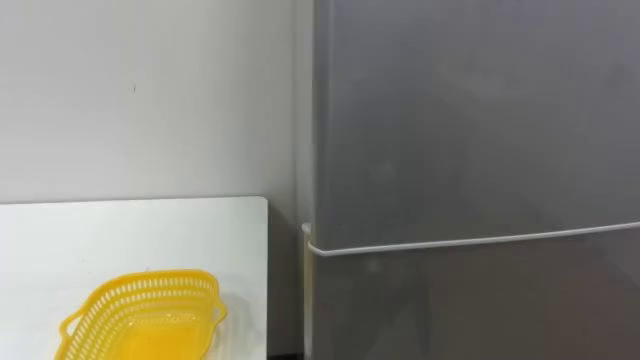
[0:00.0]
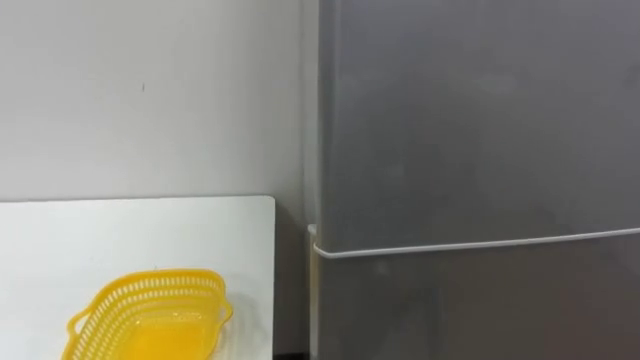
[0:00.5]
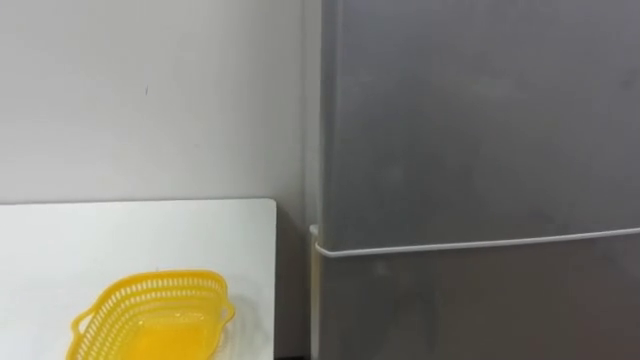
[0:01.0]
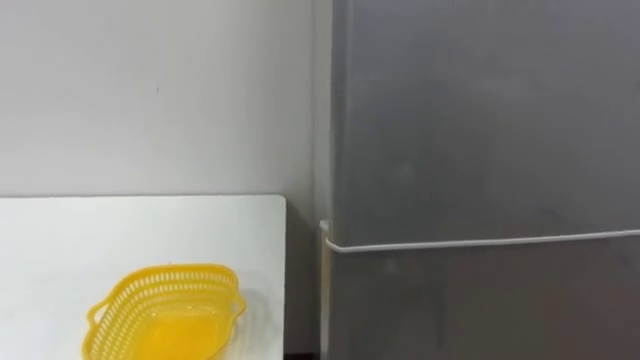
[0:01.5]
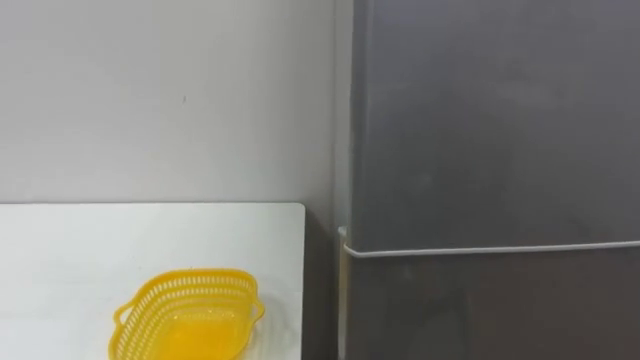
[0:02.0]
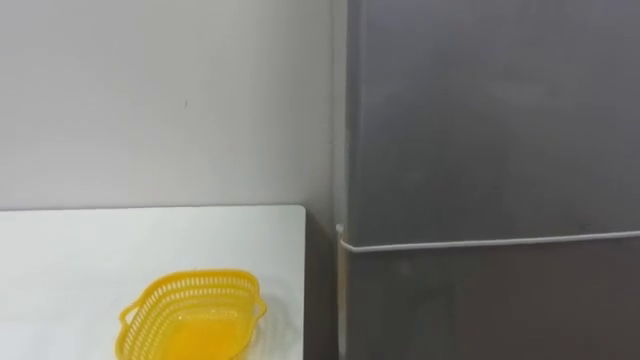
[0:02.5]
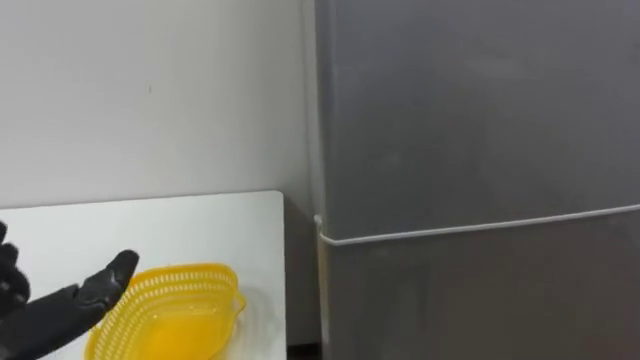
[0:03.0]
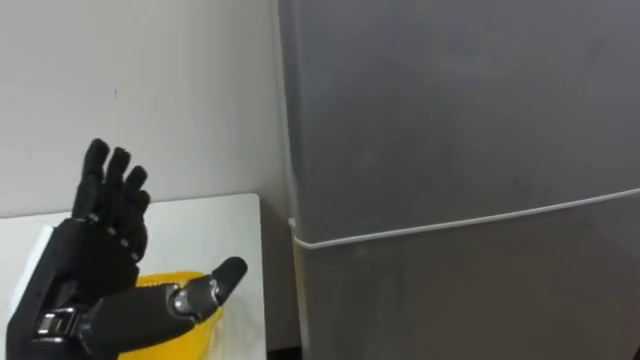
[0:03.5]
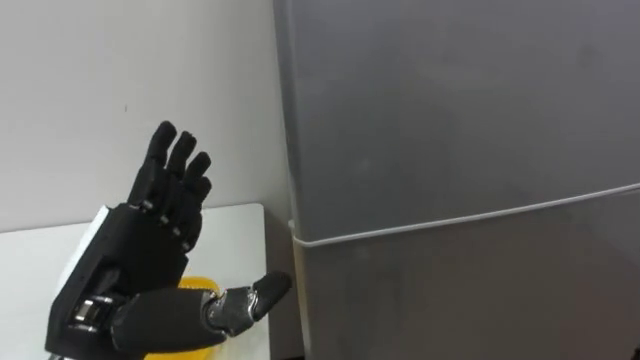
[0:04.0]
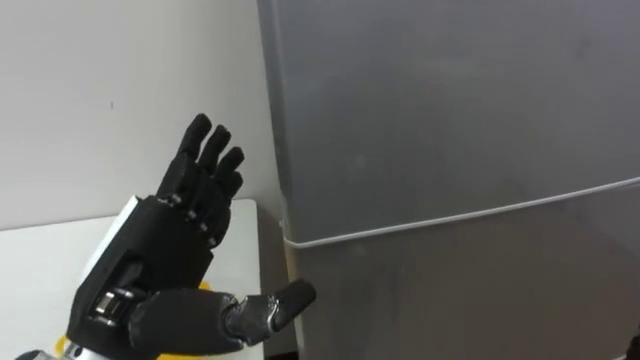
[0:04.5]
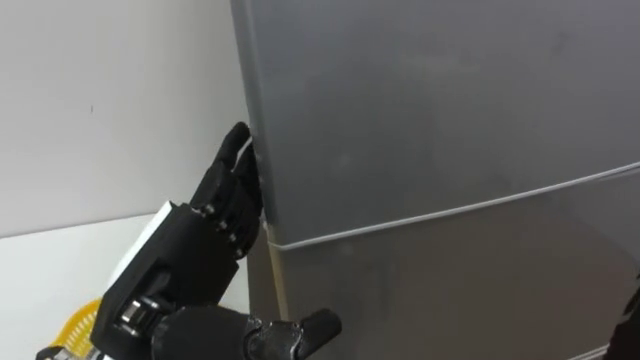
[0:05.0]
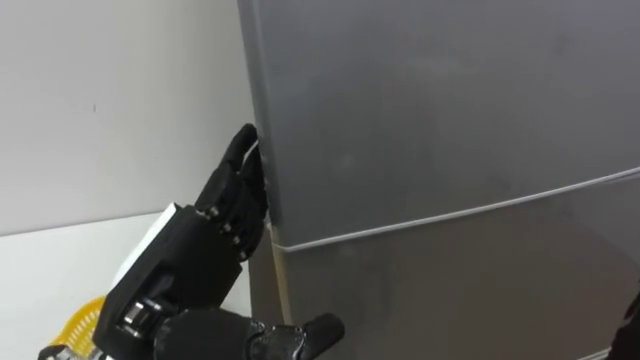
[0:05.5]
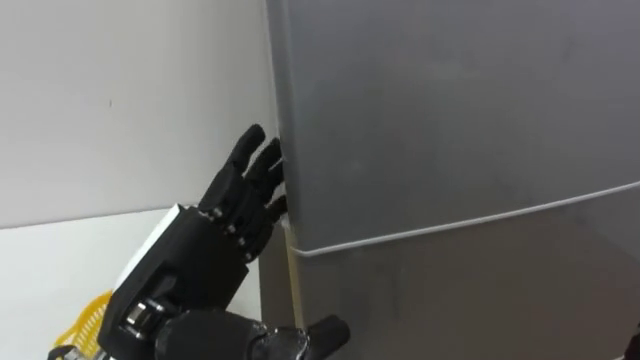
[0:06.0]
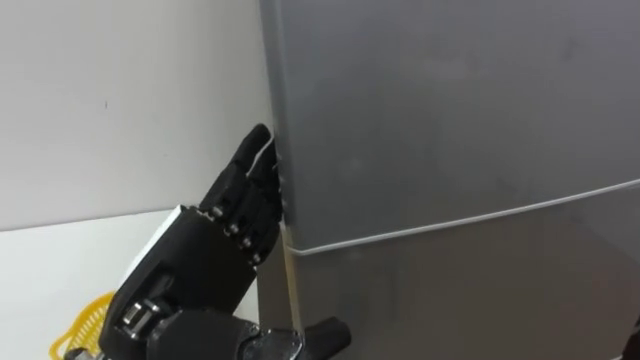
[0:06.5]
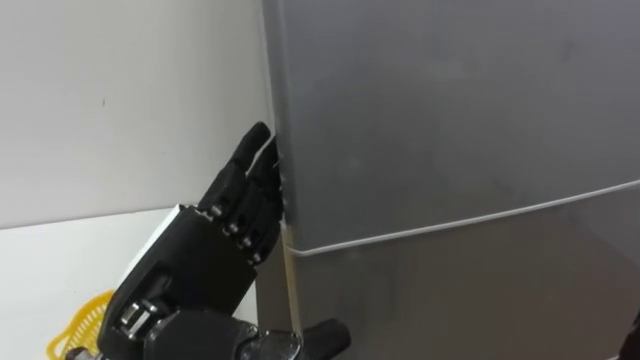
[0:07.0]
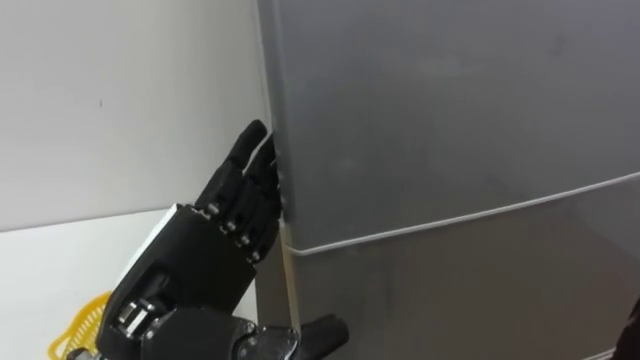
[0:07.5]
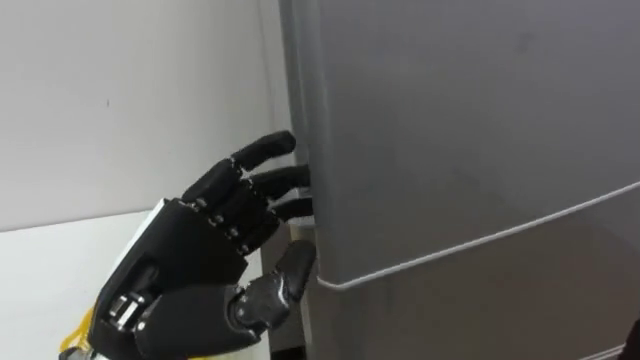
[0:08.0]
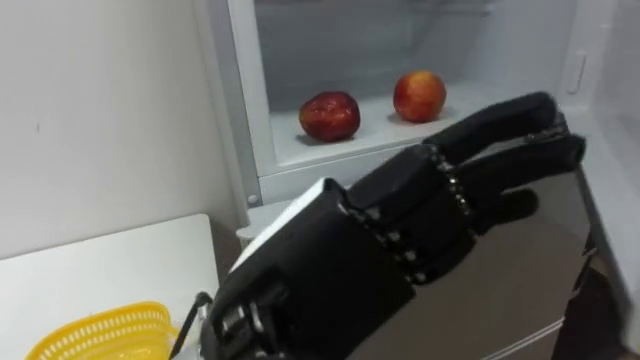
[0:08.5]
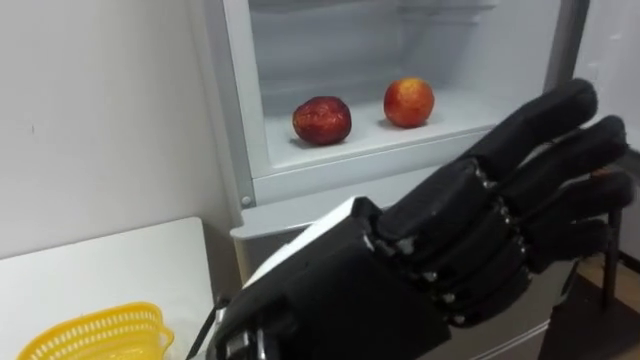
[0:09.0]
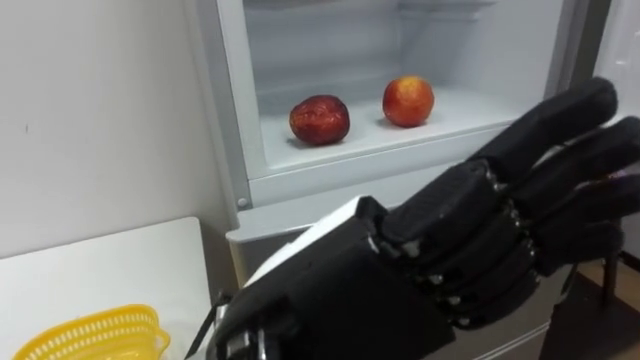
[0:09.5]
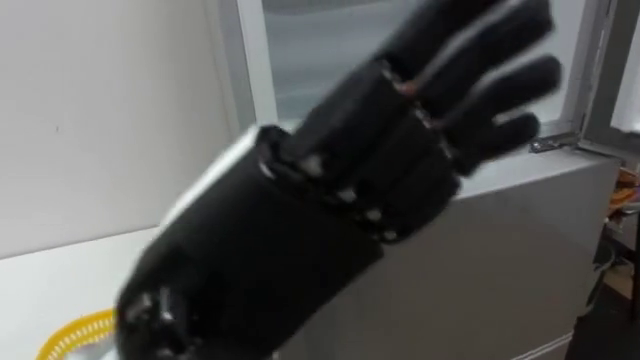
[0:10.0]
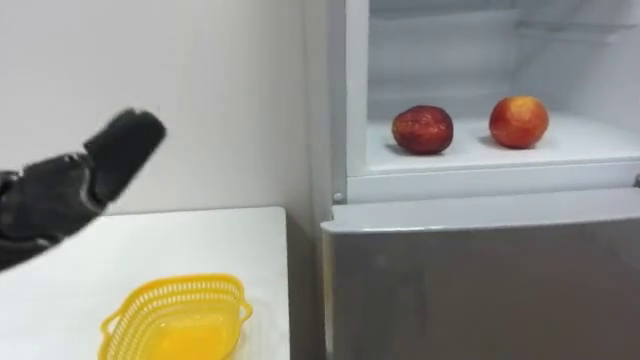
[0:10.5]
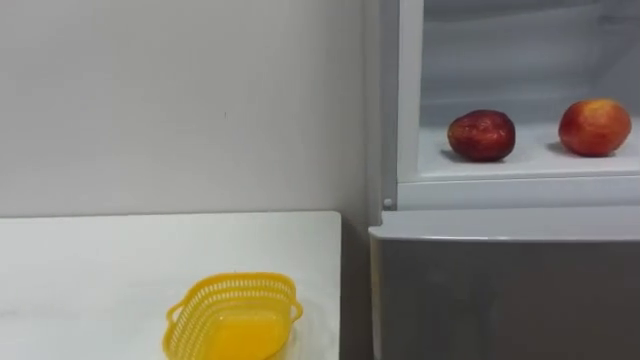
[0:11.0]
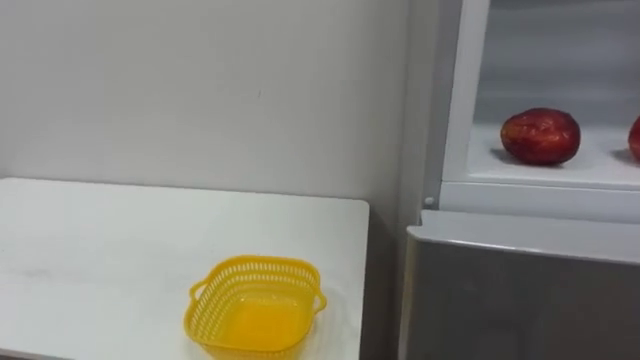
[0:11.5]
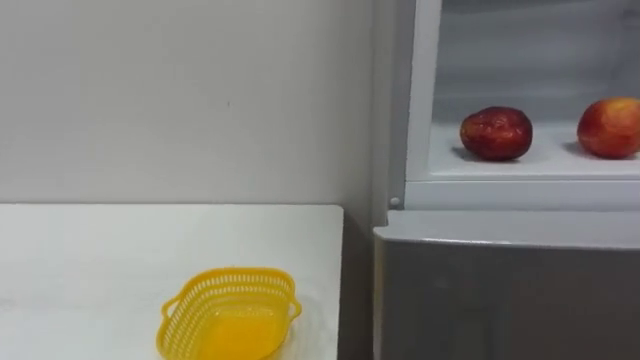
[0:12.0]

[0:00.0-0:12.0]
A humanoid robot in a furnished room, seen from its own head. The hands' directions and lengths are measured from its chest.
Task of the whole recording: Open the refrigerator door, take out the apple and the pomegranate, place them in the fruit basket on the left, and close the refrigerator door.
0:08.0 to 0:10.0: The left hand is displaced upward, backward and to the right by roughly 15 cm.

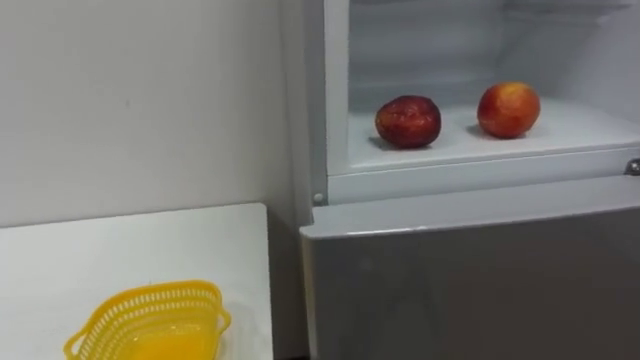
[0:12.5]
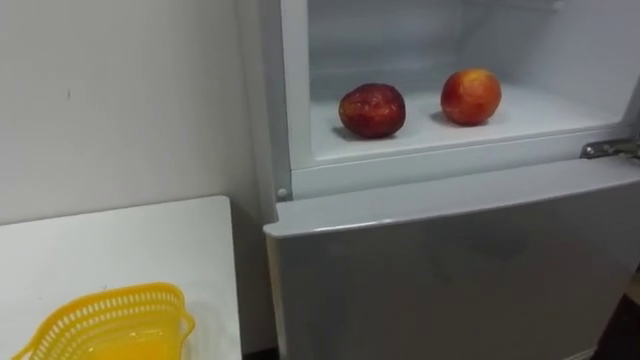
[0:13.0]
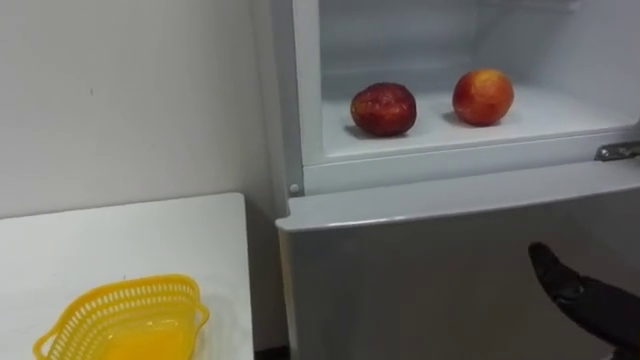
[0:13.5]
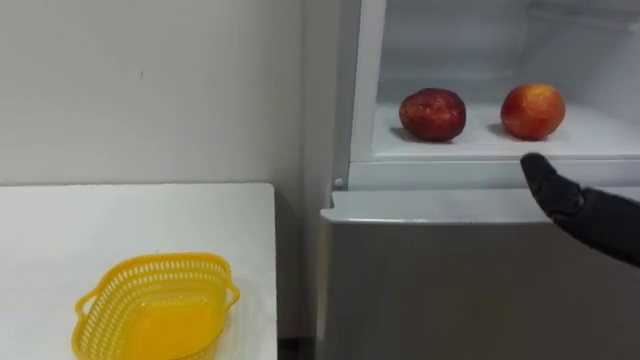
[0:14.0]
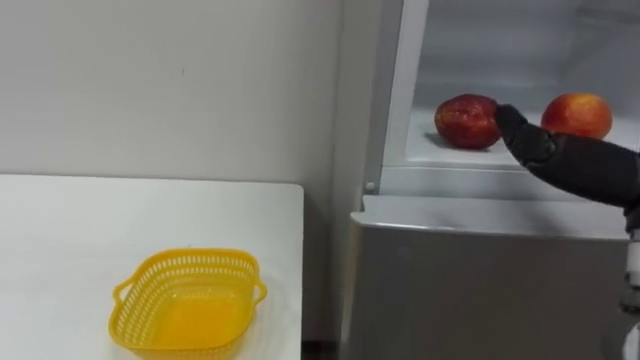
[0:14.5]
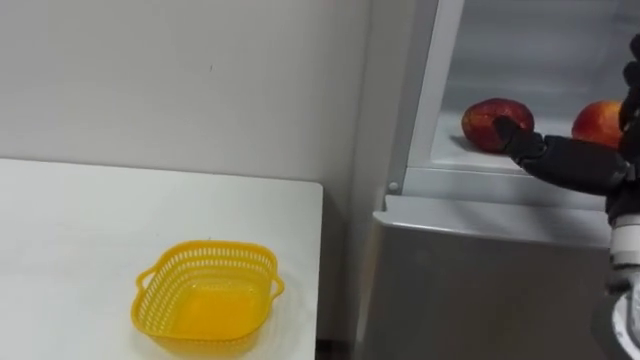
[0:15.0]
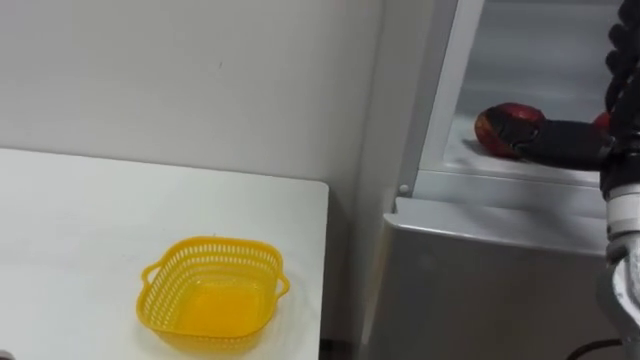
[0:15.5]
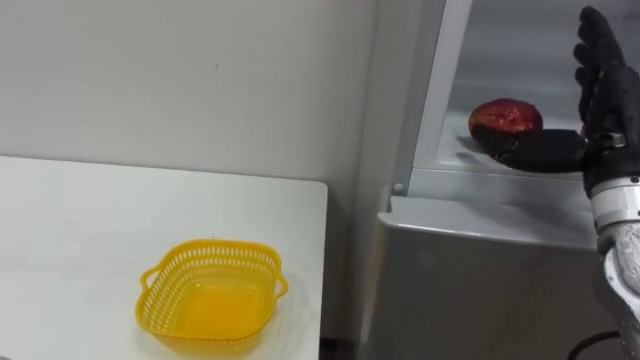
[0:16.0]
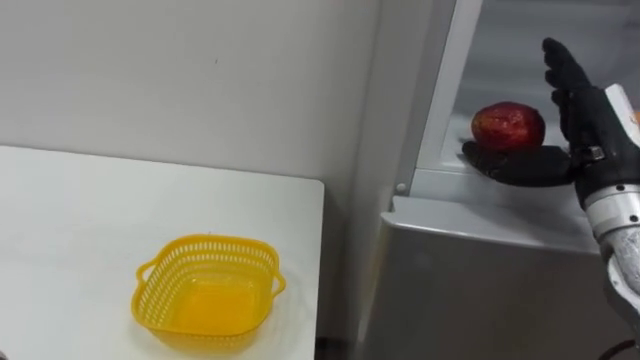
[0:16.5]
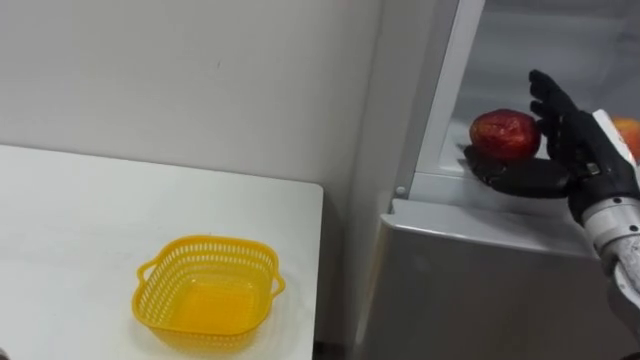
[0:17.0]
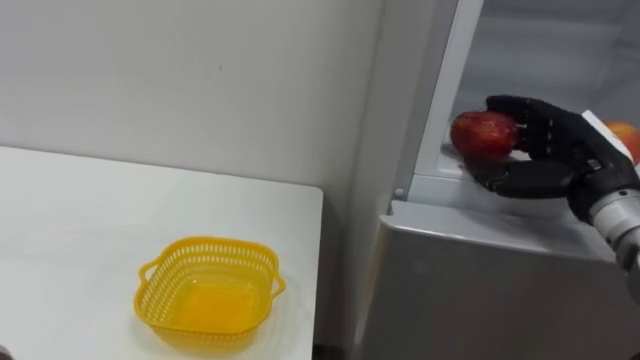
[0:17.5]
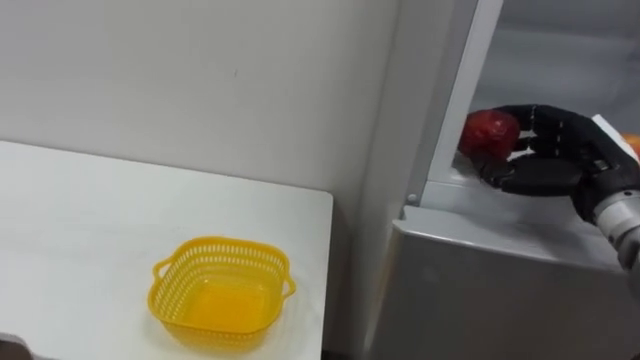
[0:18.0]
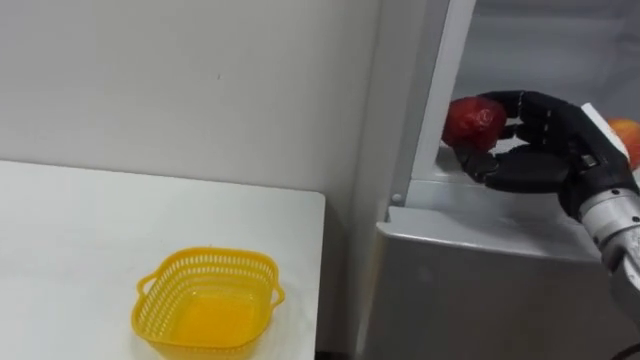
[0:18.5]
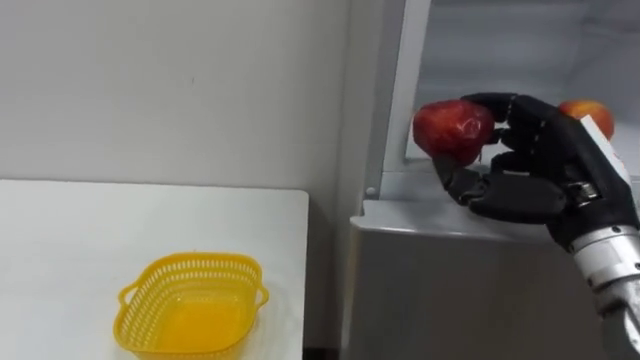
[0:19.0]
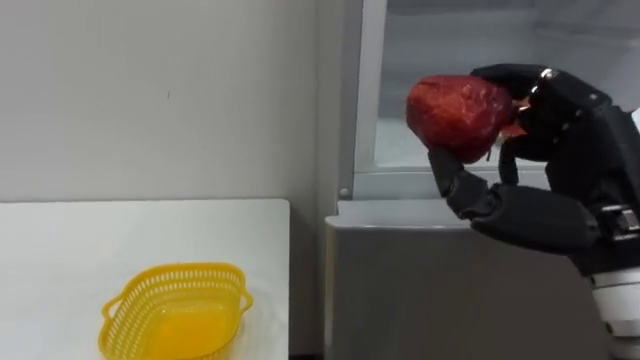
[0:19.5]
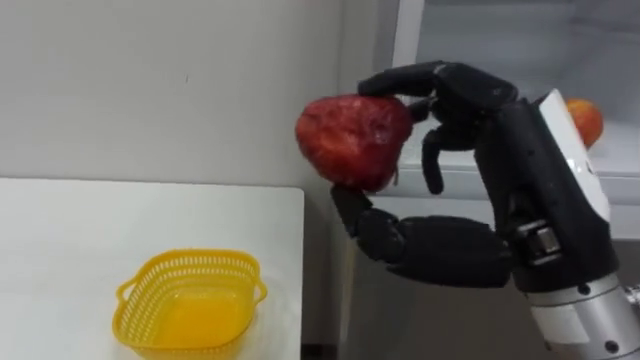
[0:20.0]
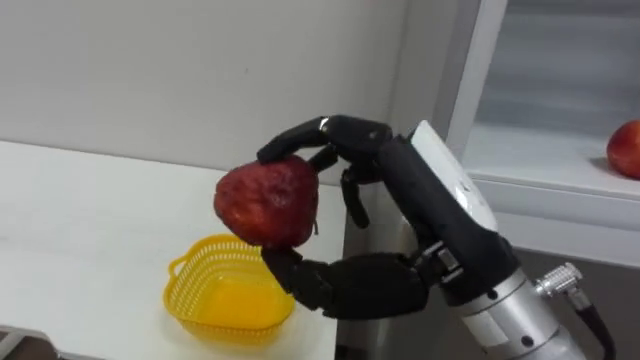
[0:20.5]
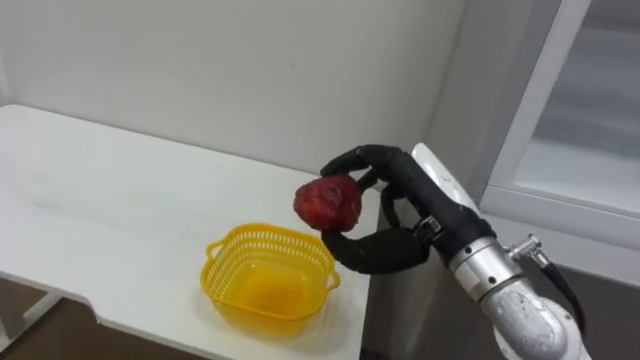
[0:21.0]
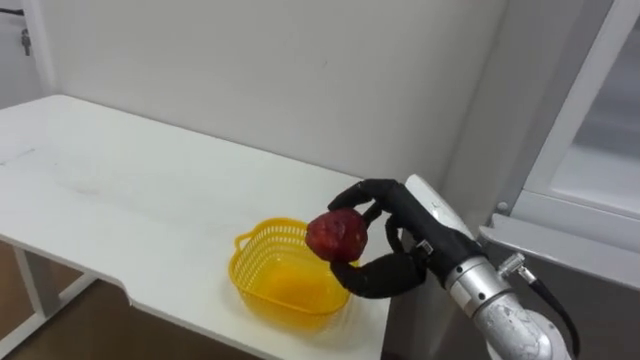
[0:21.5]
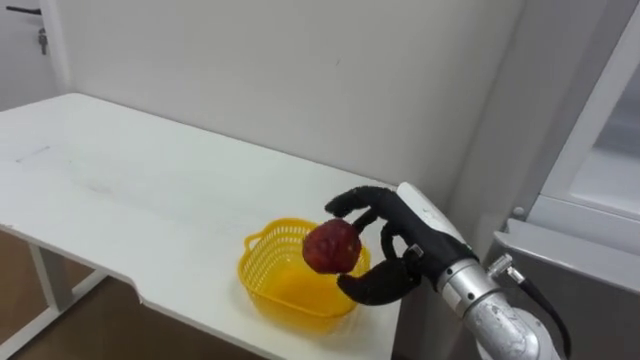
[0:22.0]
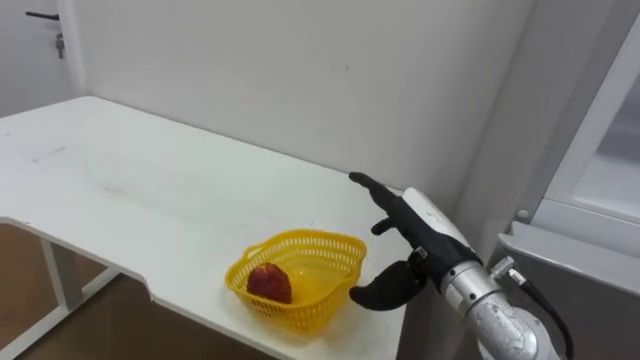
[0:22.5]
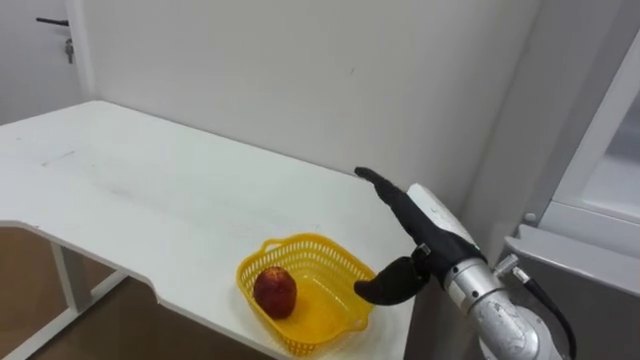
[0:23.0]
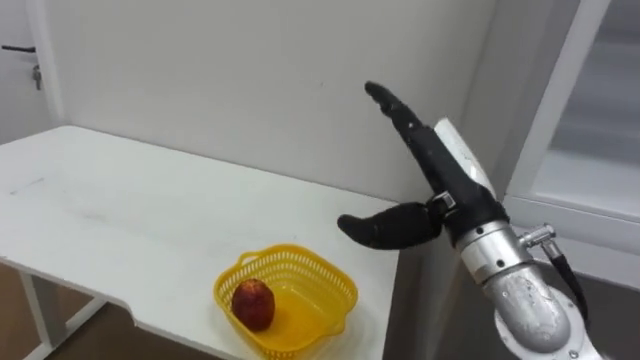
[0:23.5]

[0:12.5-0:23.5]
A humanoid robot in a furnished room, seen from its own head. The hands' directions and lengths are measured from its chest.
Task of the whole recording: Open the refrigerator door, take out the apple and the pomegranate, place them in the fruit basket on the left, and close the refrigerator door.
0:16.0 to 0:18.0: The right hand moves downward, roughly 5 cm, and closes.
0:18.0 to 0:20.0: The right hand is displaced backward, to the left and upward by about 20 cm.
0:20.0 to 0:21.5: The right hand travels downward and forward by roughly 15 cm.
0:21.5 to 0:23.5: The right hand goes roughly 5 cm upward, and opens.
